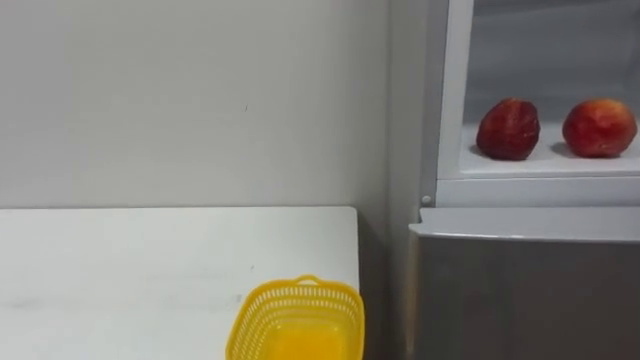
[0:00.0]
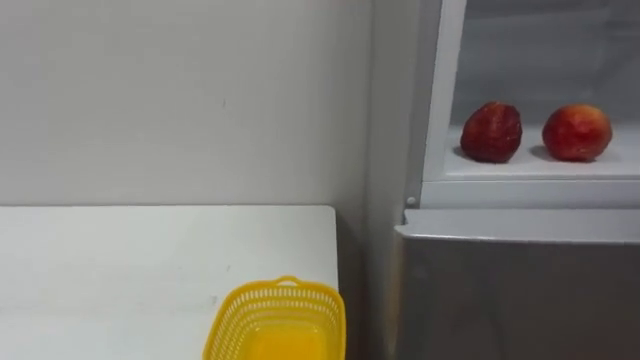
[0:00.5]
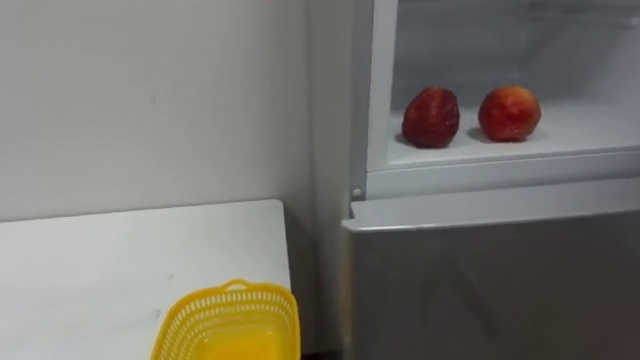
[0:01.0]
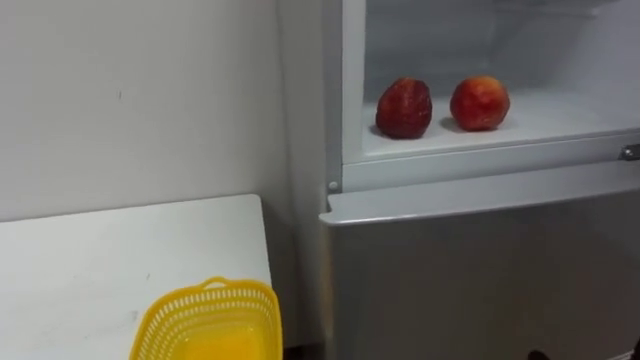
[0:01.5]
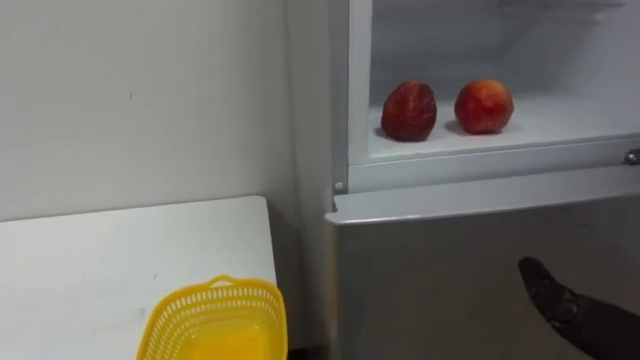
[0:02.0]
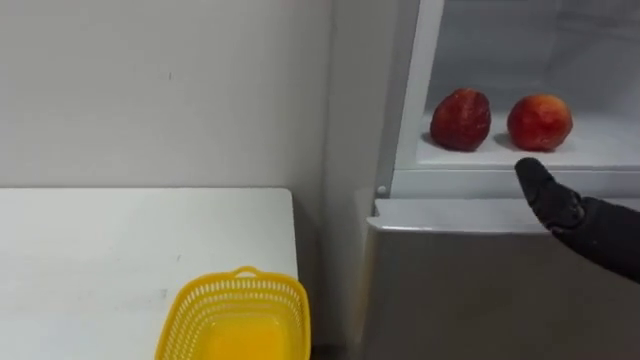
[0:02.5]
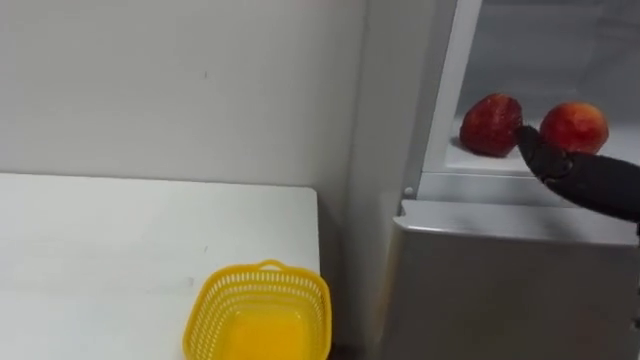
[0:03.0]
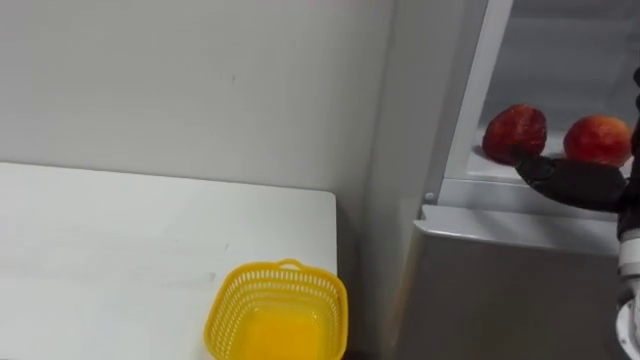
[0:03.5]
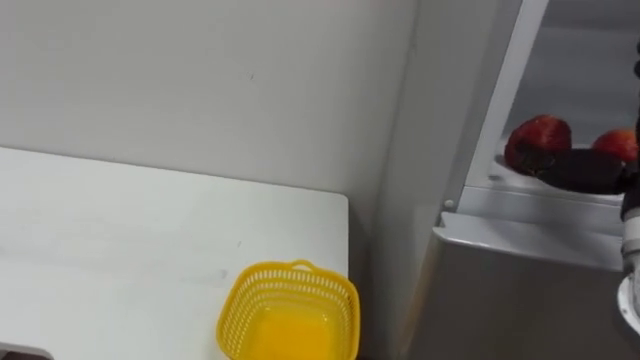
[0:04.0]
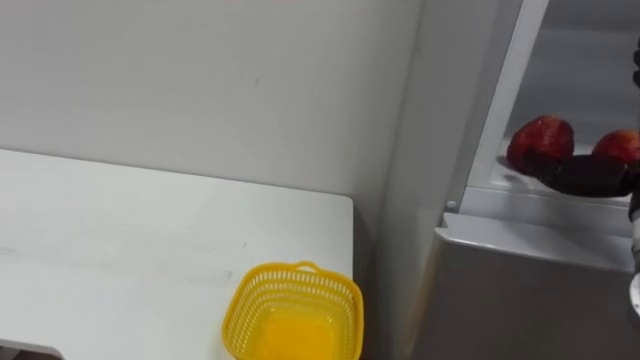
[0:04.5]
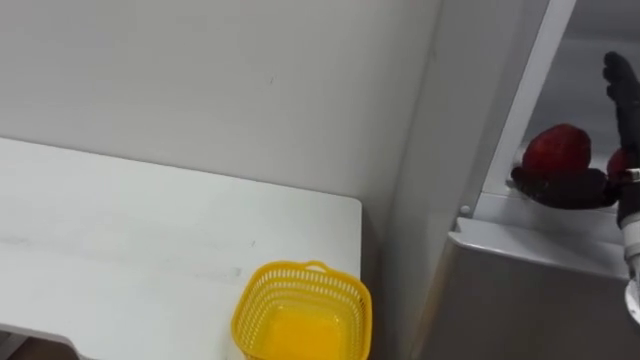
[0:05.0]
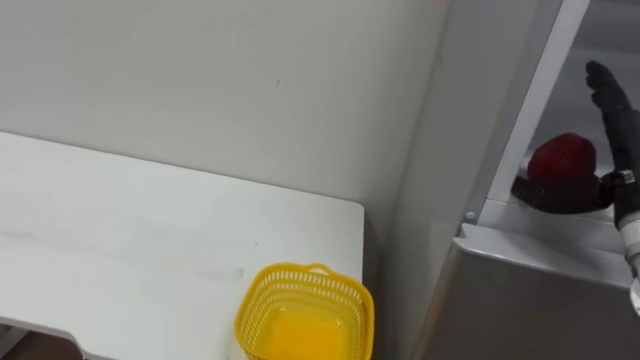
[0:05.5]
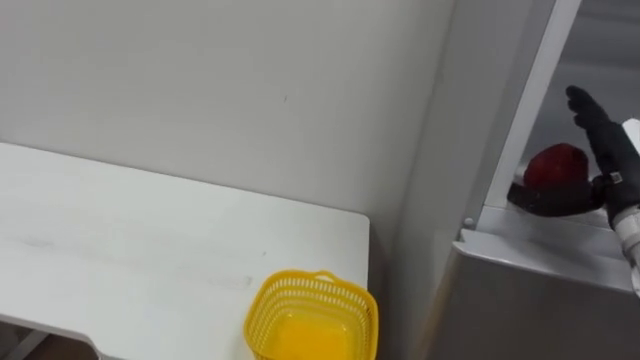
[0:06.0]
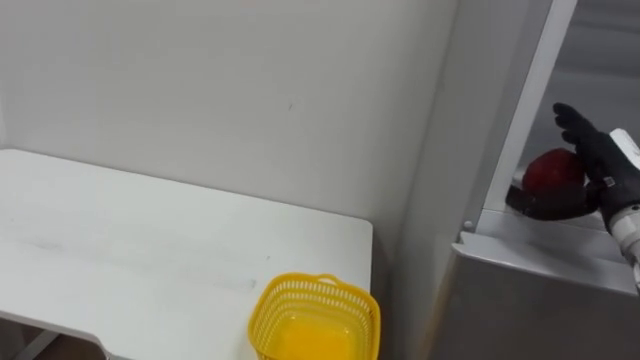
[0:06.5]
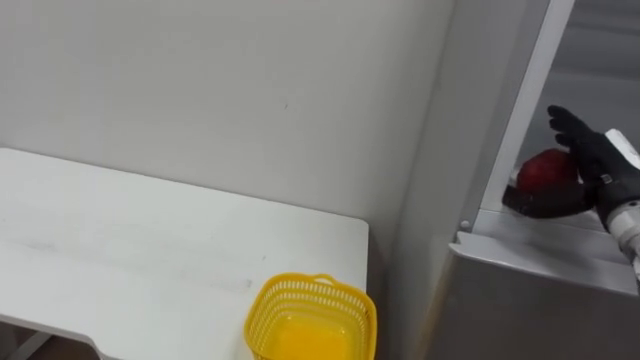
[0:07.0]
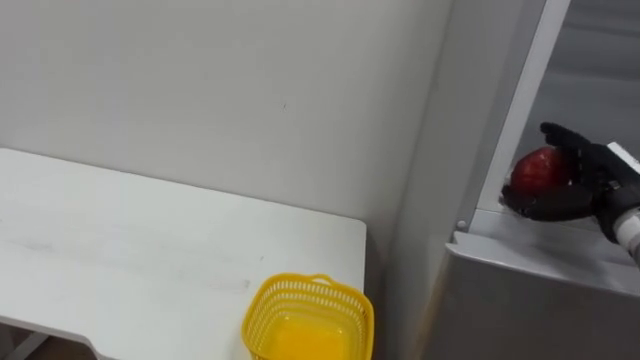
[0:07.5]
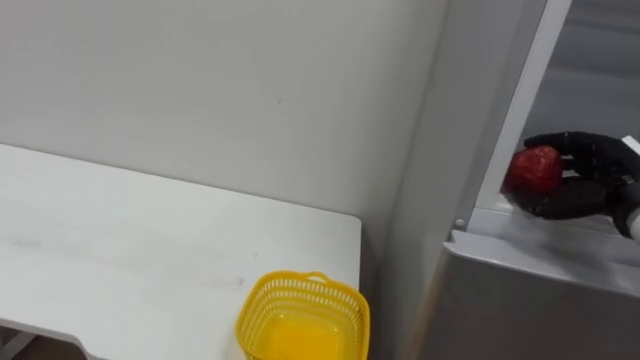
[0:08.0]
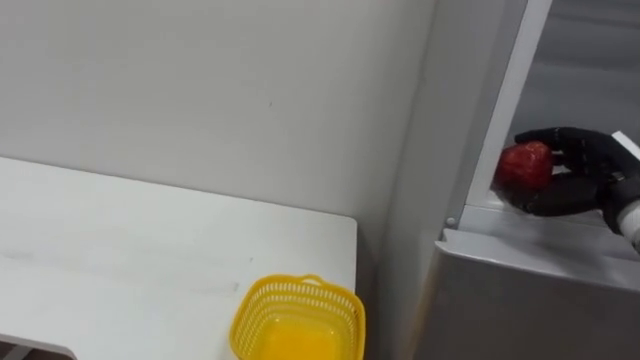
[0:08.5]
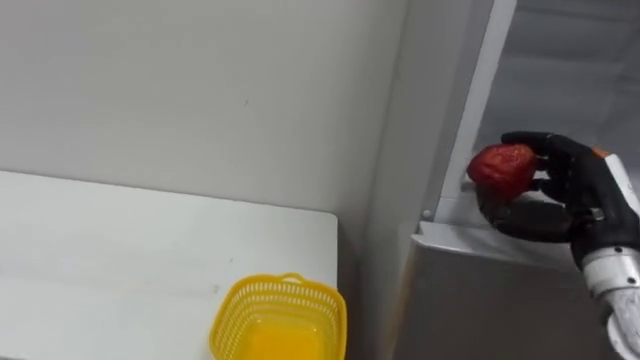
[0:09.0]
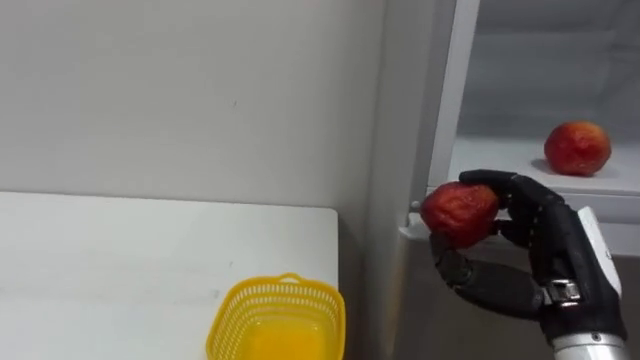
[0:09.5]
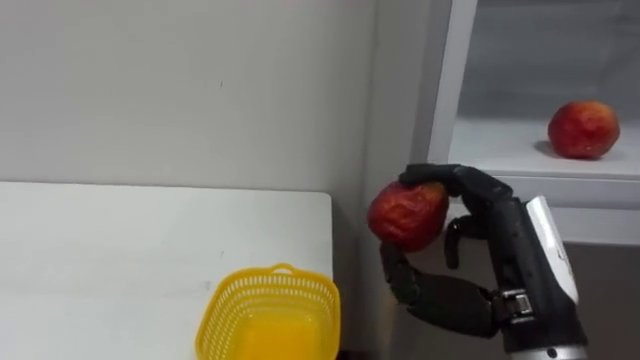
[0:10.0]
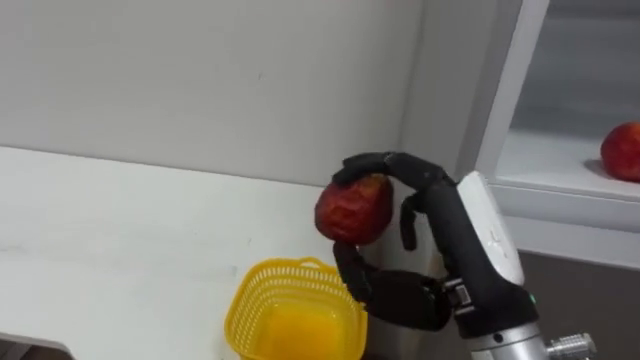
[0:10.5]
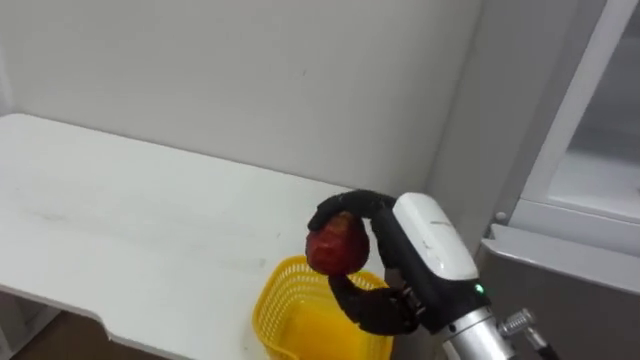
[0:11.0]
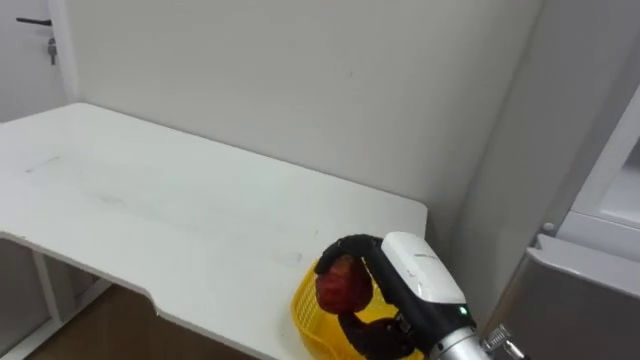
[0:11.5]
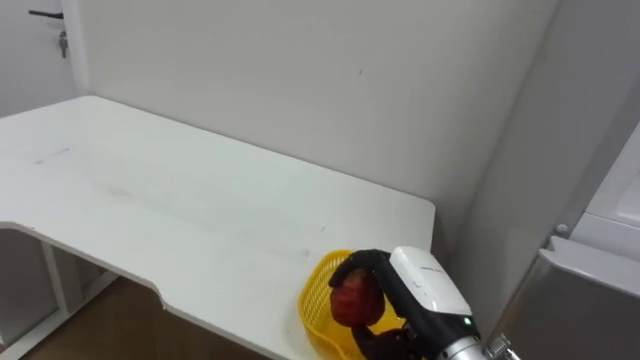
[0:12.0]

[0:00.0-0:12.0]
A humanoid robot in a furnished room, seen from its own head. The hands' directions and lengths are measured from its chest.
Task of the whole recording: Open the refrigerator door, take out the apple and the pomegranate, place them in the fruit basket on the left, and close the refrigerator door.
0:06.0 to 0:08.0: The right hand closes up.
0:08.0 to 0:10.0: The right hand shifts about 20 cm to the left and backward.
0:10.0 to 0:12.0: The right hand moves downward, to the left and forward, roughly 15 cm.

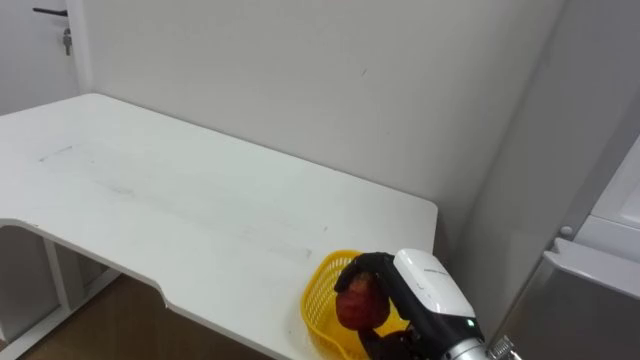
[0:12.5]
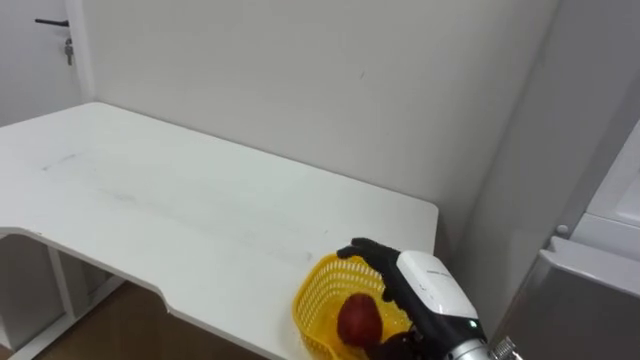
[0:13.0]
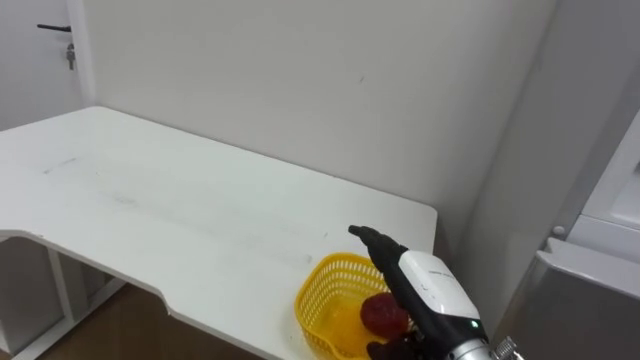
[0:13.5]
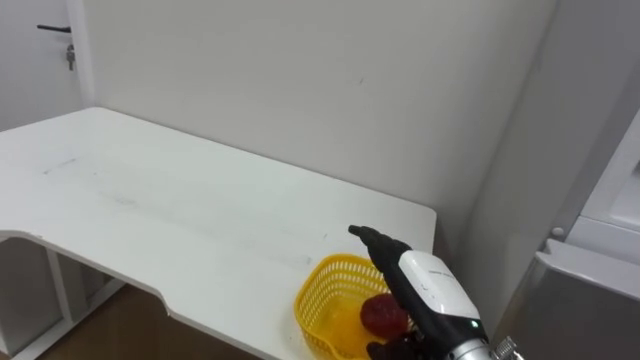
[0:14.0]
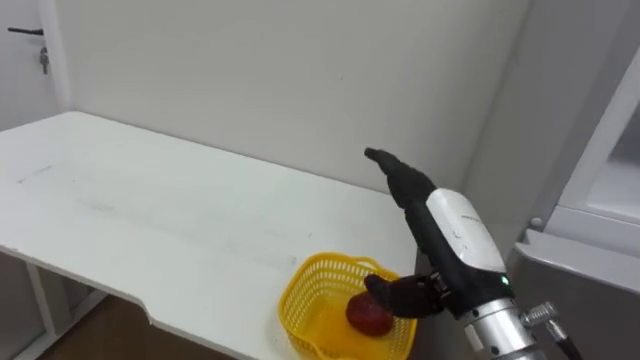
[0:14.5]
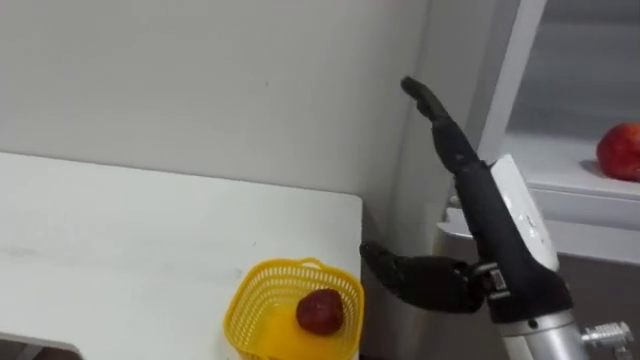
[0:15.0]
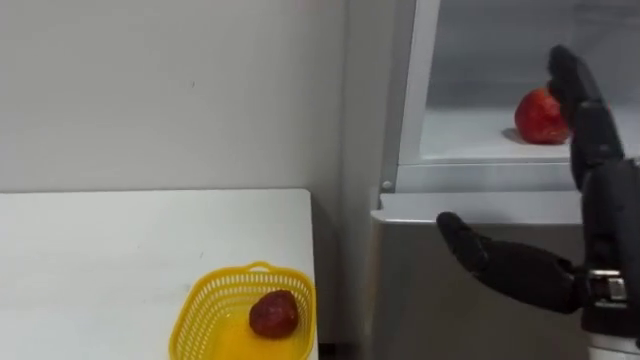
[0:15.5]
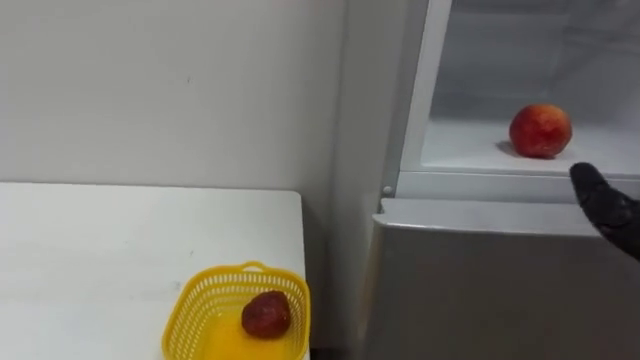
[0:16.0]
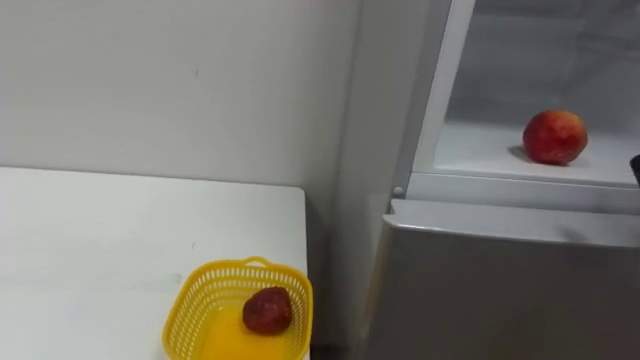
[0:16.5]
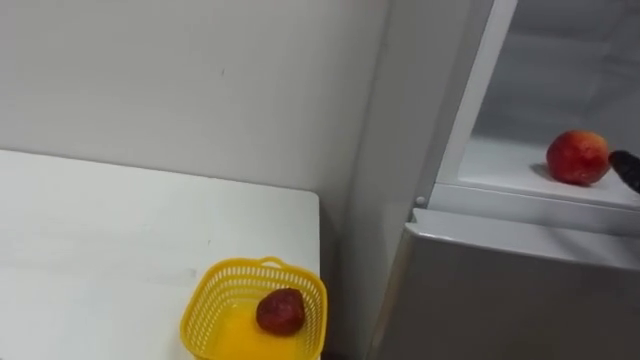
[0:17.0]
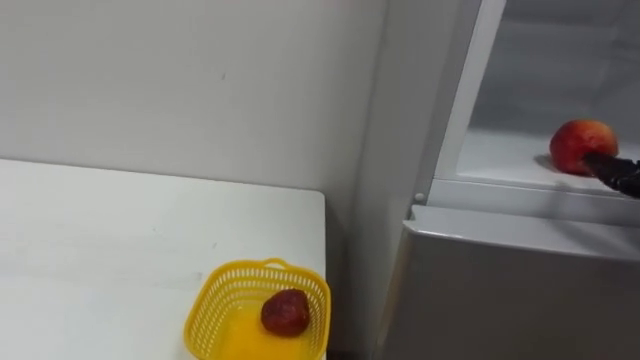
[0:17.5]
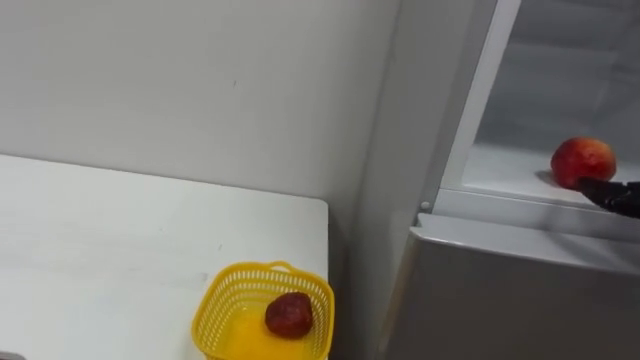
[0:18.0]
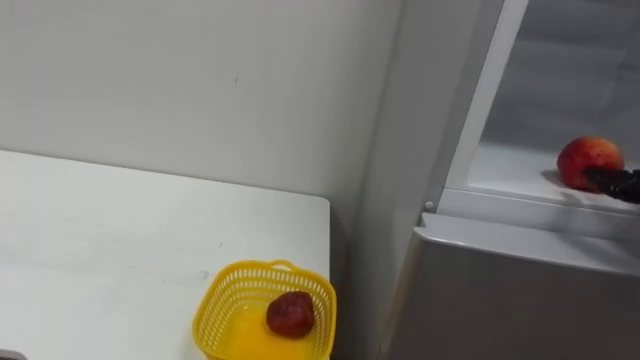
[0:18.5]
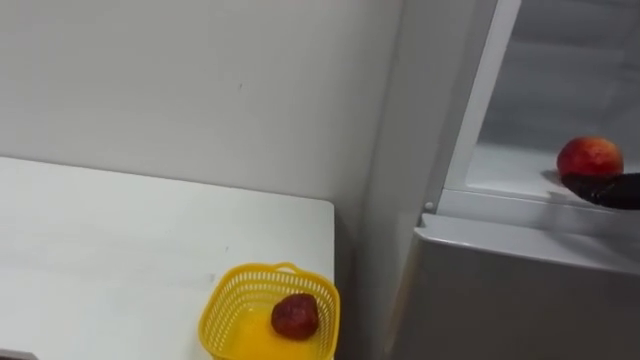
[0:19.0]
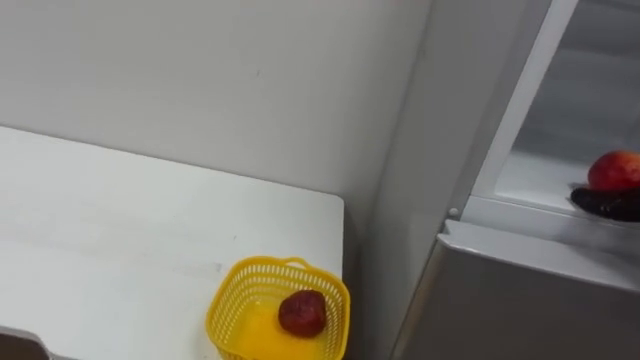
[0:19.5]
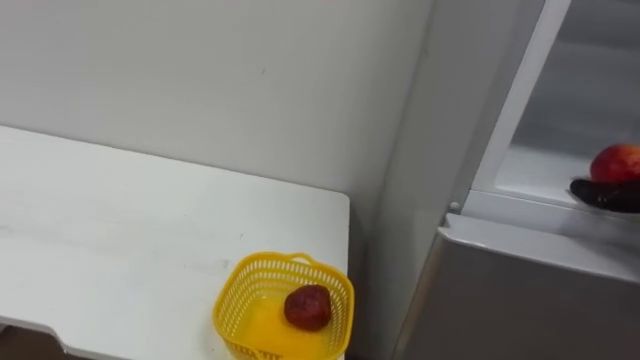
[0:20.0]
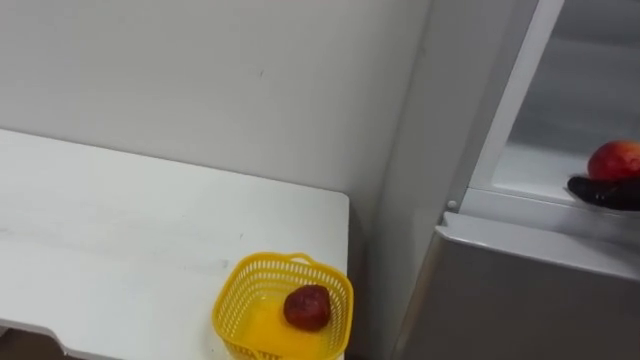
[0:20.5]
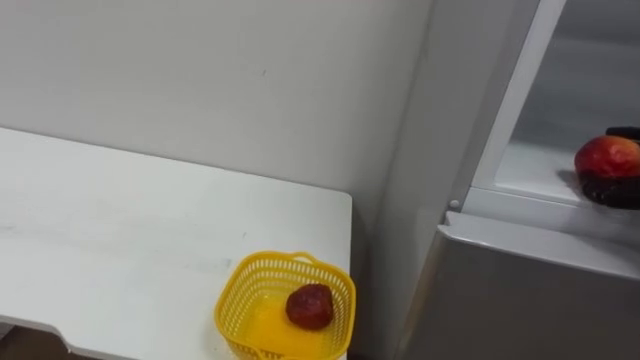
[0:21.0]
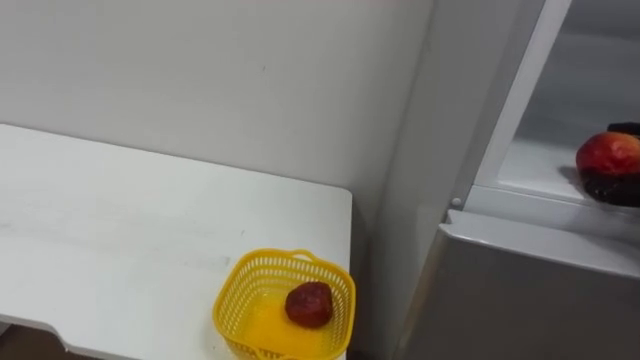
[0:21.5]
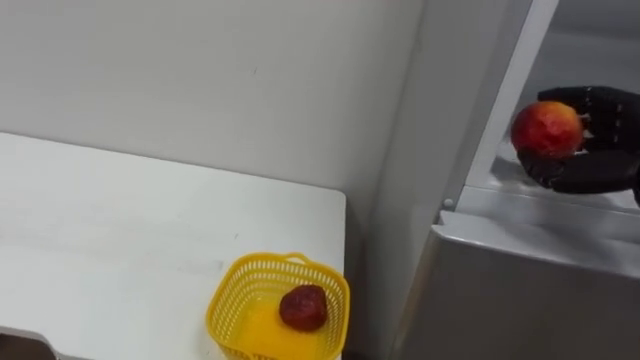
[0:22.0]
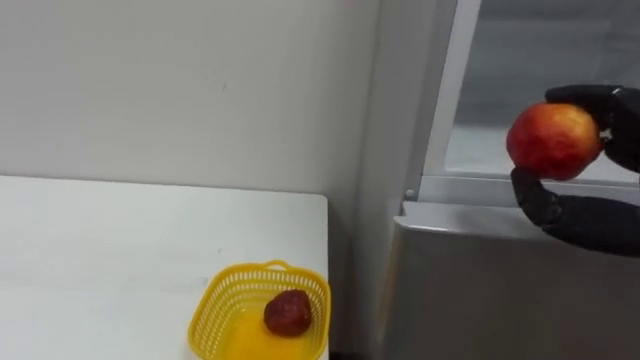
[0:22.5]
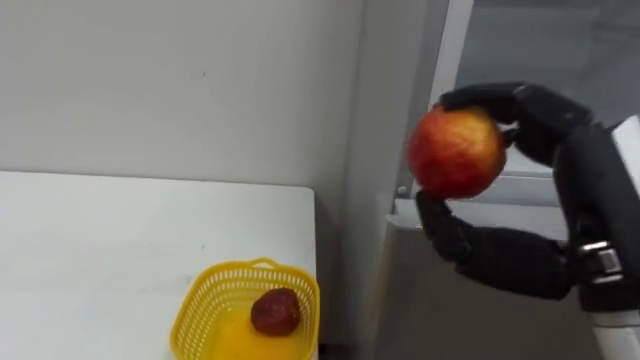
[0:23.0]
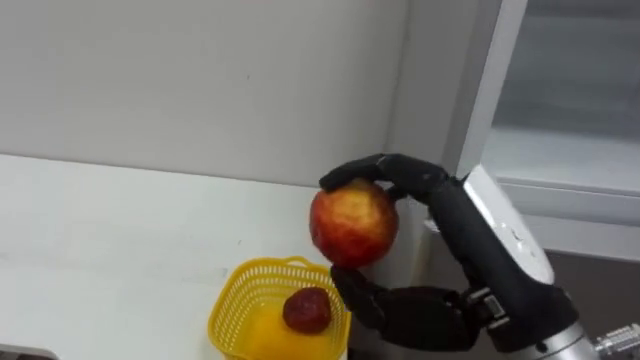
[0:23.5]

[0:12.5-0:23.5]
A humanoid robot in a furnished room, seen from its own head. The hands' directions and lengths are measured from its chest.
Task of the whole recording: Open the refrigerator door, take out the apple and the pomegranate, place them in the fruit basket on the left, and close the refrigerator door.
0:12.5 to 0:14.5: The right hand heads upward, covering approximately 5 cm, and opens up.
